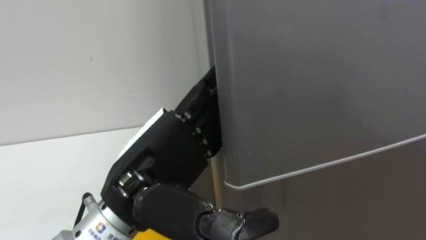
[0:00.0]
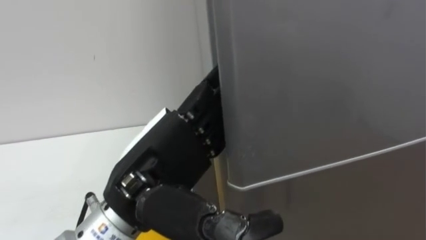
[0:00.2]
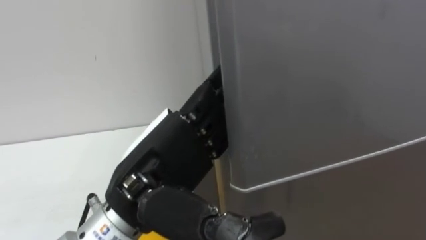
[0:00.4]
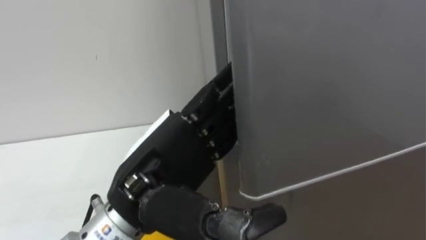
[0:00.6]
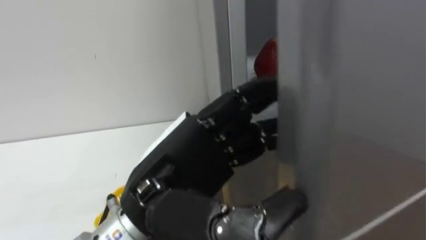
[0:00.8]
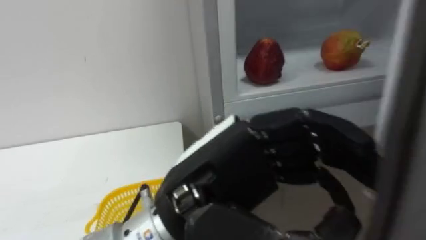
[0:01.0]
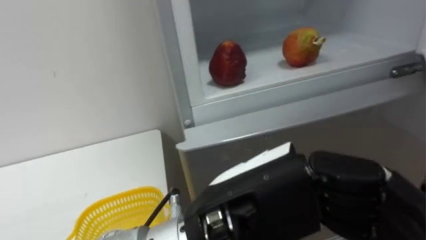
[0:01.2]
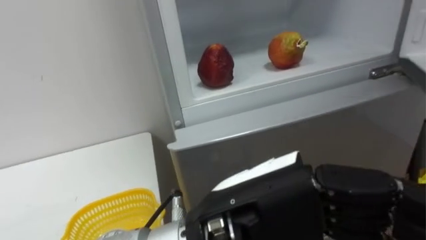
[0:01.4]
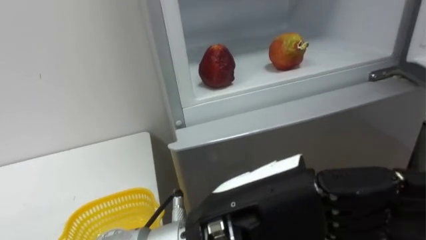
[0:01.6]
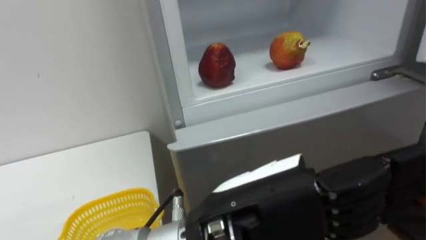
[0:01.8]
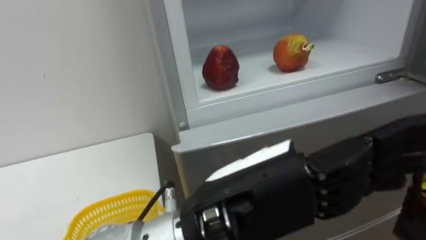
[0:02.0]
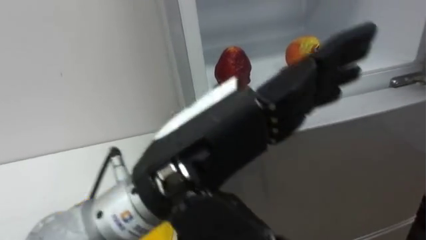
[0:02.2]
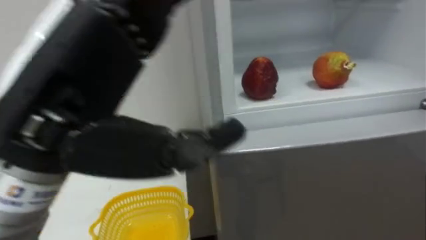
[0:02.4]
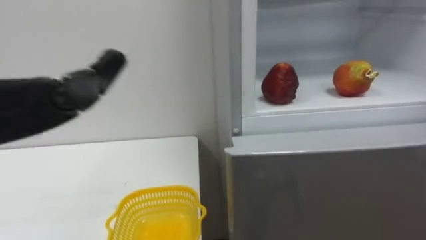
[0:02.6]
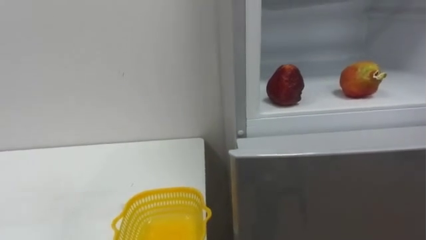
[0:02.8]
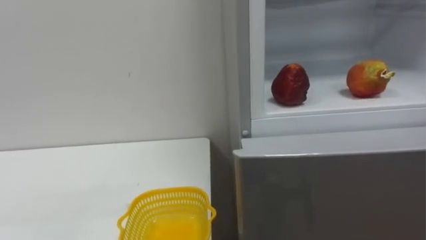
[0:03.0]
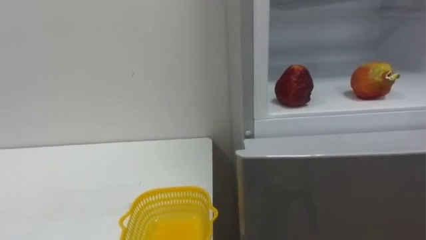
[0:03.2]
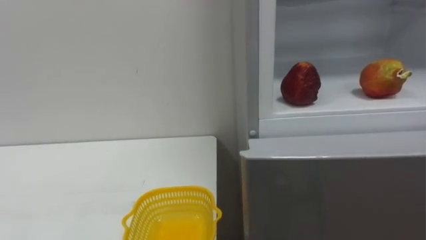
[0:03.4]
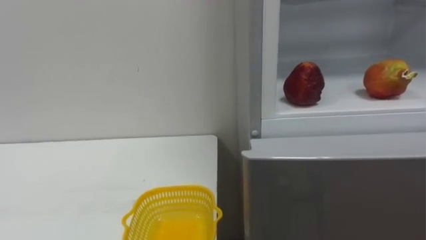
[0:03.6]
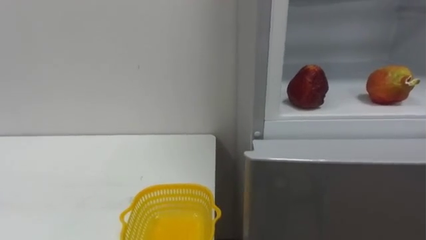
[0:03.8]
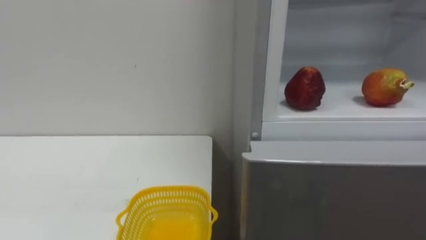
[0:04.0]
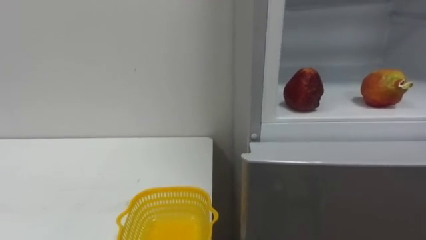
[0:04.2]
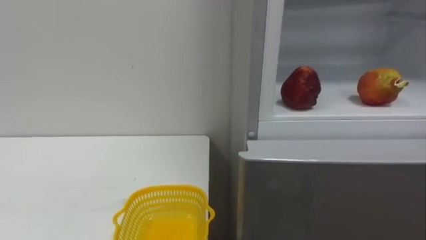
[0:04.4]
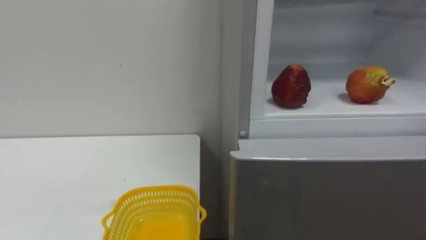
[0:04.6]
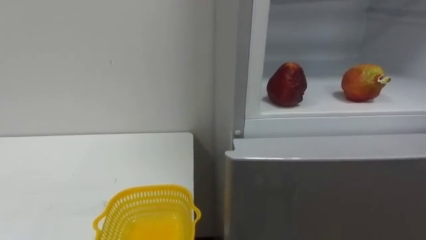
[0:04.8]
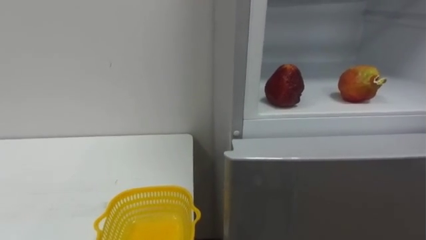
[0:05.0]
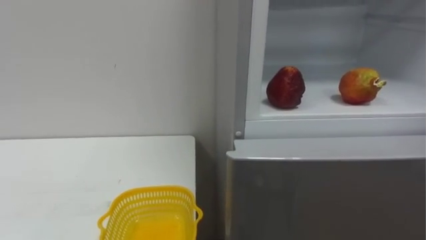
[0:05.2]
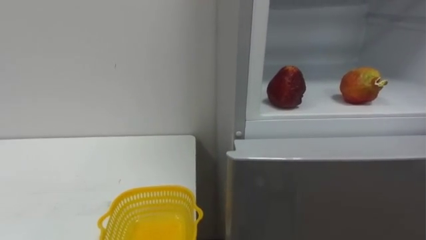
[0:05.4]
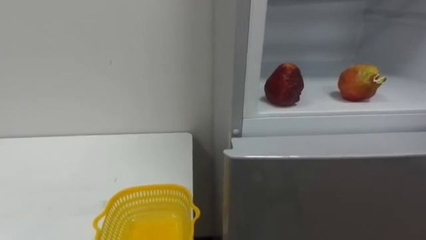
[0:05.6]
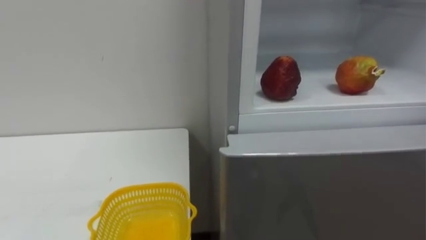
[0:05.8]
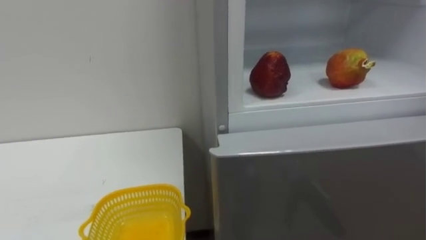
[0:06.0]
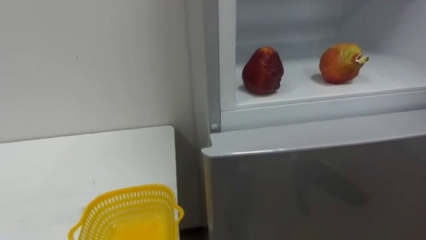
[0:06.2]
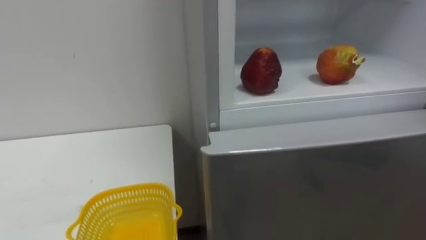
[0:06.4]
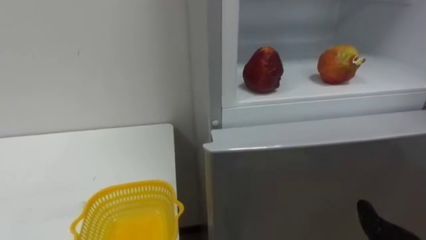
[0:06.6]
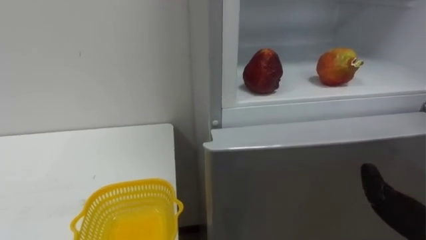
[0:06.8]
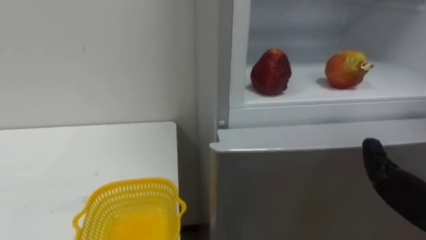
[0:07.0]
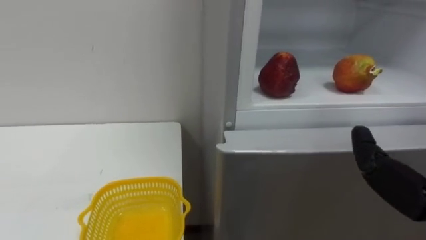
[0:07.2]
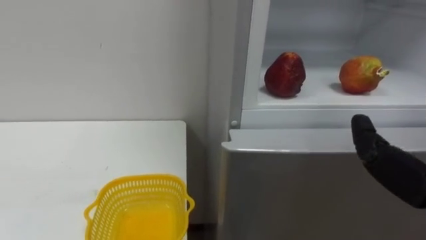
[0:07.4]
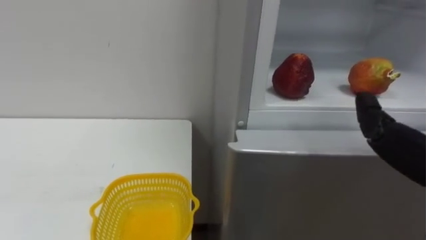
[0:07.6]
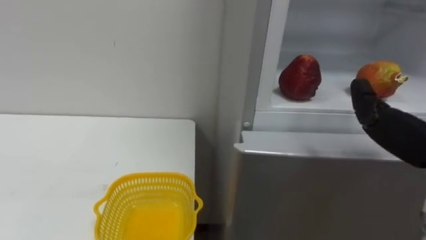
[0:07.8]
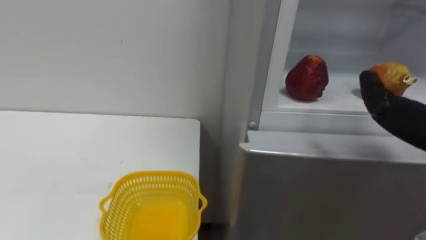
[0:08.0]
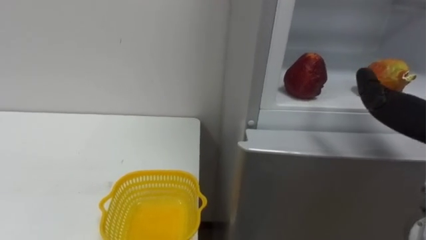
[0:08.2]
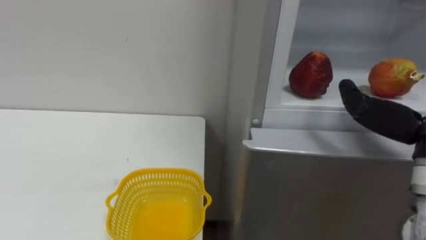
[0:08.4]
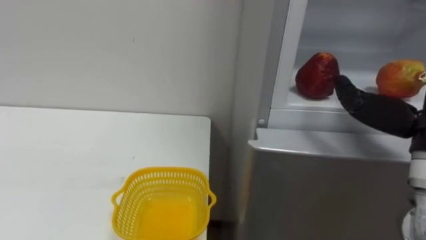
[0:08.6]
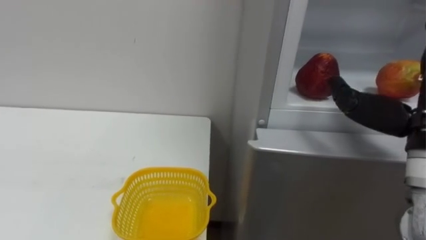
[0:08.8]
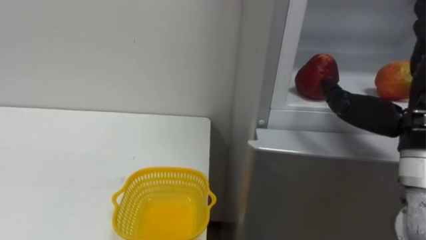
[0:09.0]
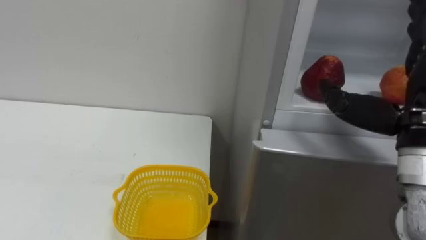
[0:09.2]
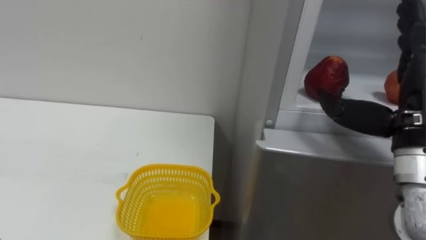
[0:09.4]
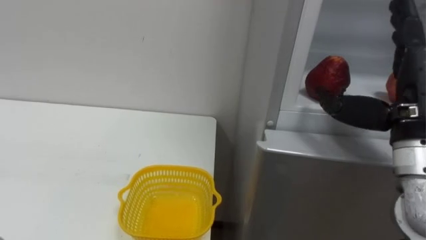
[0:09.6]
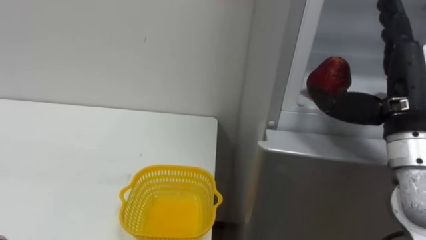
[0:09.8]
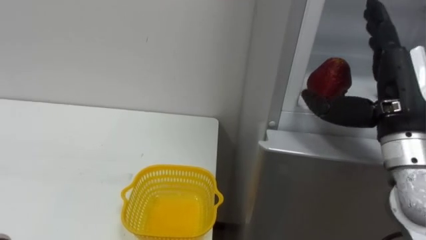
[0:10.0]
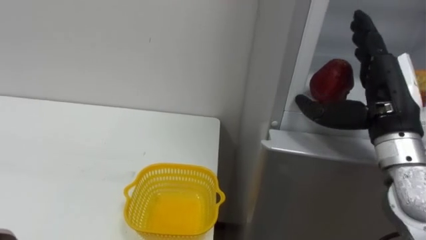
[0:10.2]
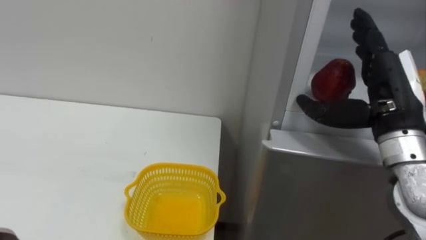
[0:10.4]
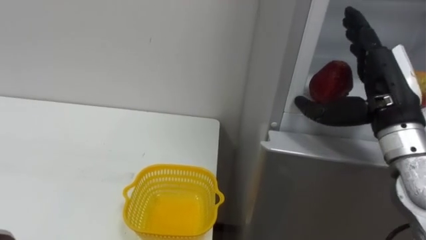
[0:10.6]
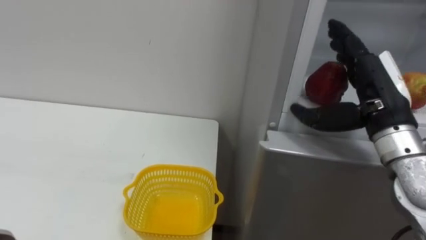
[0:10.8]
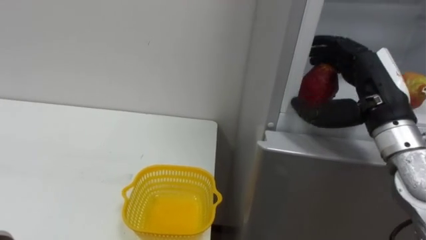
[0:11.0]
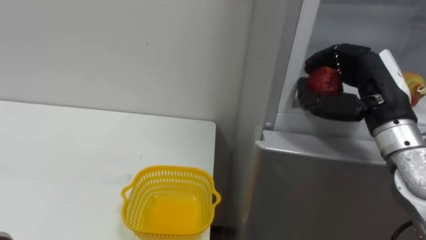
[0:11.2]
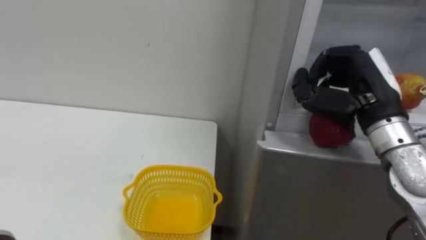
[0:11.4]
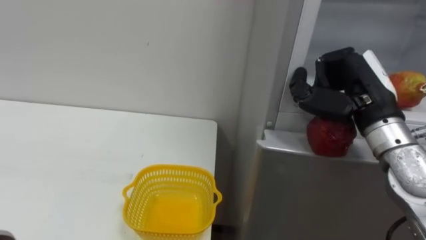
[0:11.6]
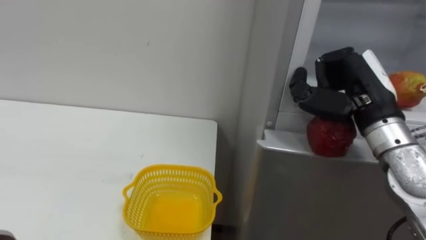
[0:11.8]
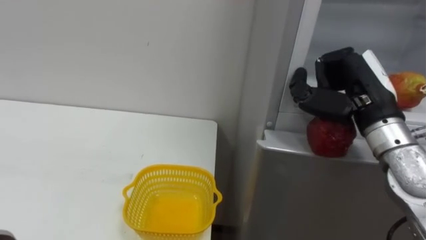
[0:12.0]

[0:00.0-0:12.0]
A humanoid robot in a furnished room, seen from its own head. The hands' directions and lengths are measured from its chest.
Task of the whole recording: Open the refrigerator door, take out the apple and the pomegranate, place them in the fruit basket on the left, and close the refrigerator door.
0:00.0 to 0:01.6: The left hand shifts roughly 10 cm to the right and backward, and closes, then opens again.
0:09.0 to 0:10.4: The right hand is displaced forward by some 5 cm.
0:10.4 to 0:12.0: The right hand closes up.

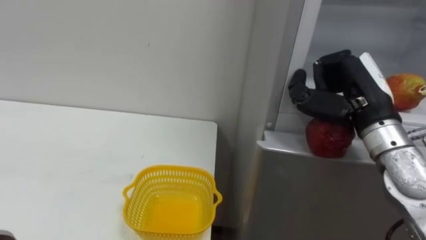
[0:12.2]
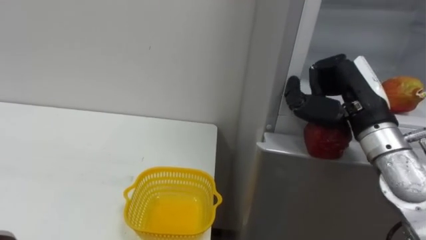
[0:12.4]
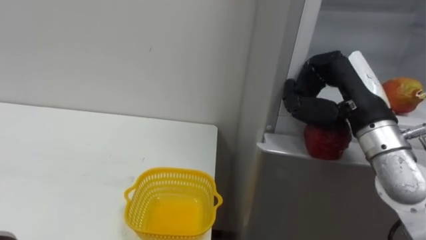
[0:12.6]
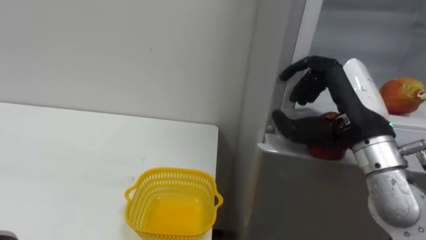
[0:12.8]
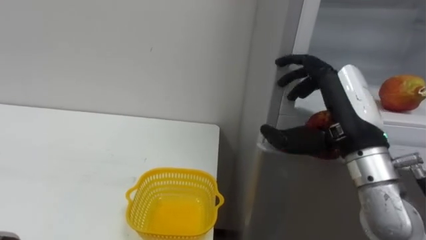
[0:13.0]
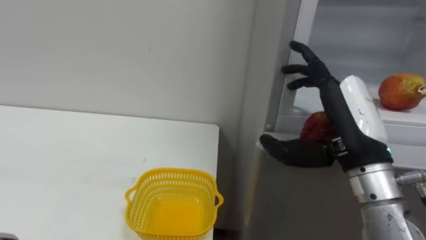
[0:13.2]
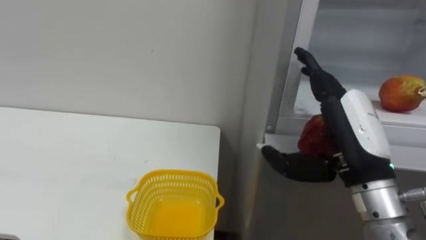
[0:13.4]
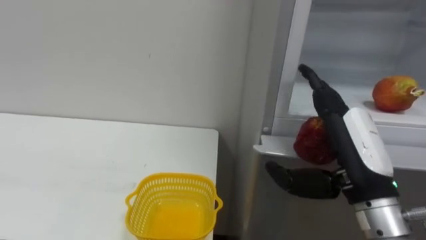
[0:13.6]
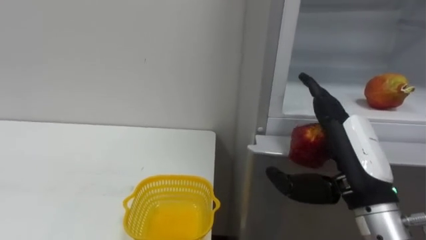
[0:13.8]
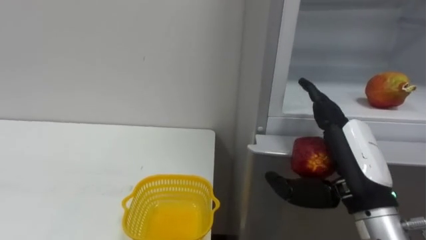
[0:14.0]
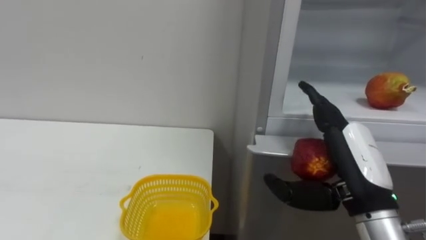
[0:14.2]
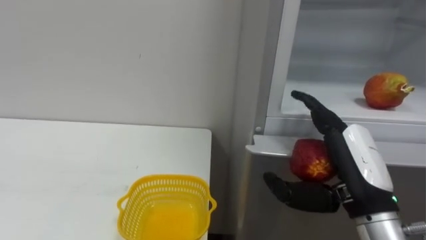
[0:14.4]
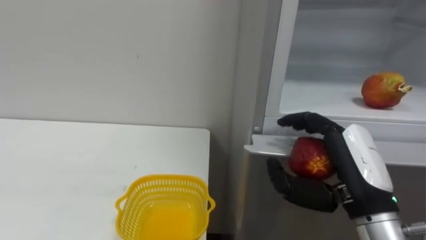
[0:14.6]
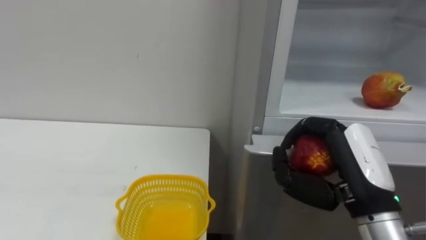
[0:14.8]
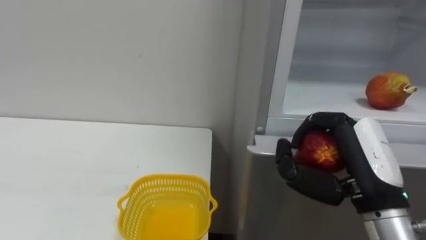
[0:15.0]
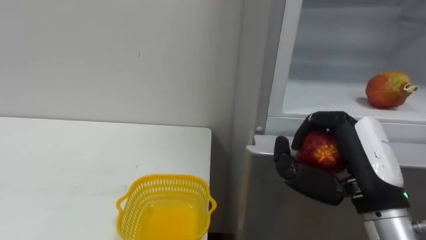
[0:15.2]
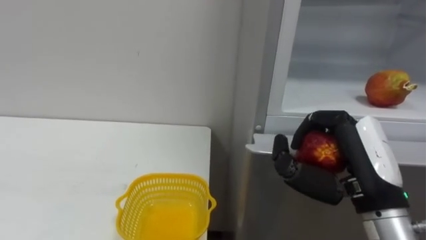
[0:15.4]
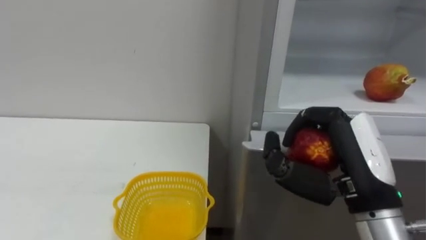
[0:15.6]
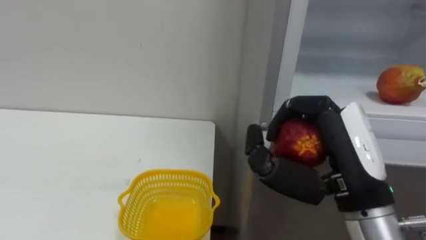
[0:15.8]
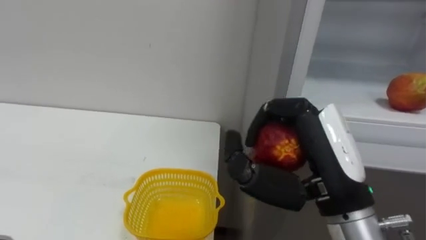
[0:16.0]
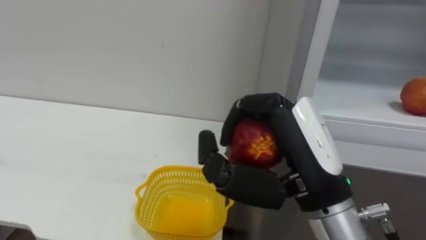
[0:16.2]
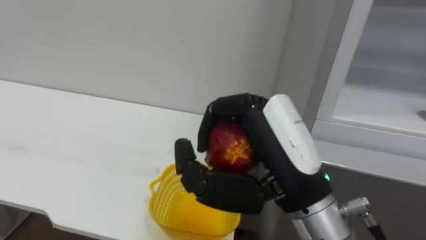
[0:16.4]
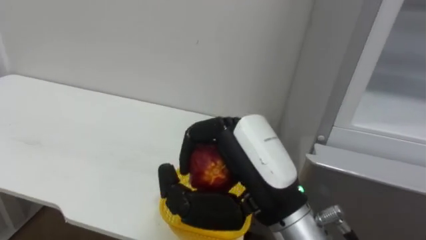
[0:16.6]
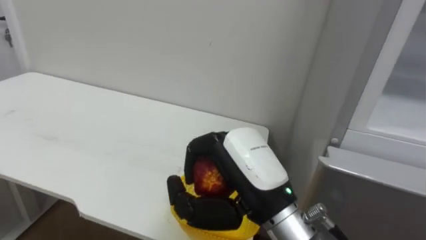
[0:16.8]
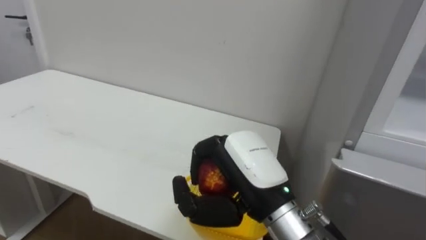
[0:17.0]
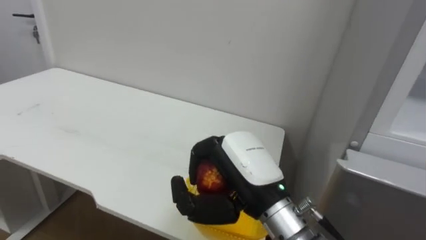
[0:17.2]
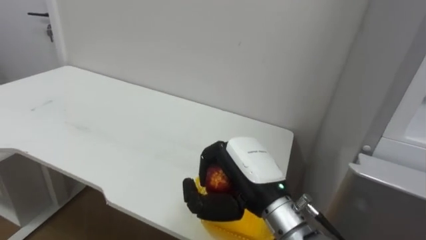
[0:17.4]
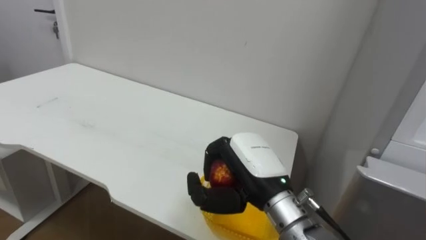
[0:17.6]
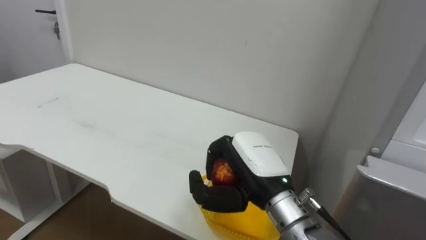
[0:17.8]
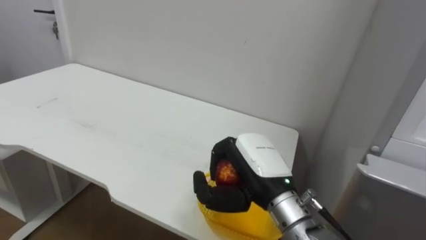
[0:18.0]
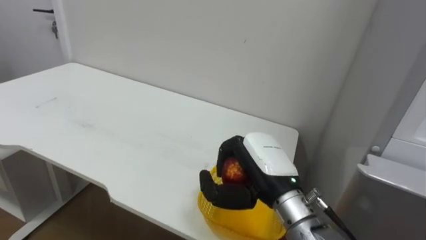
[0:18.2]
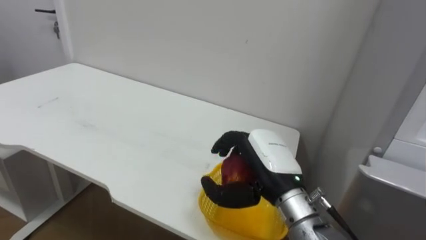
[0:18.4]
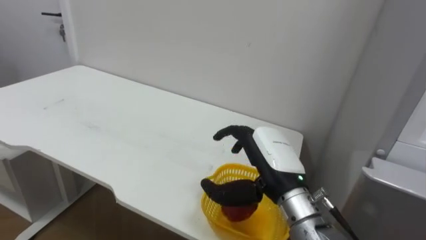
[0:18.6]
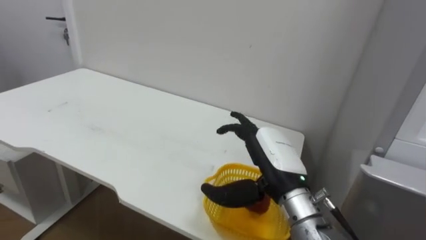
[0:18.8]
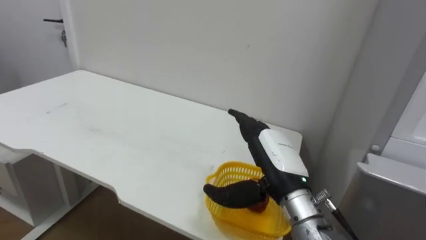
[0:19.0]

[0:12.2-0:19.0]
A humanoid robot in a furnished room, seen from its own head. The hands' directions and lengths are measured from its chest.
Task of the whole recording: Open the refrigerator door, take out the apple and the pomegranate, place them in the fruit basket on the left, and close the refrigerator door.
0:12.2 to 0:13.6: The right hand moves backward, roughly 10 cm, and opens.
0:13.6 to 0:15.0: The right hand closes.
0:15.0 to 0:16.2: The right hand goes approximately 10 cm to the left.
0:16.2 to 0:17.6: The right hand heads downward and forward, covering about 10 cm.
0:17.6 to 0:19.0: The right hand opens its fingers.
